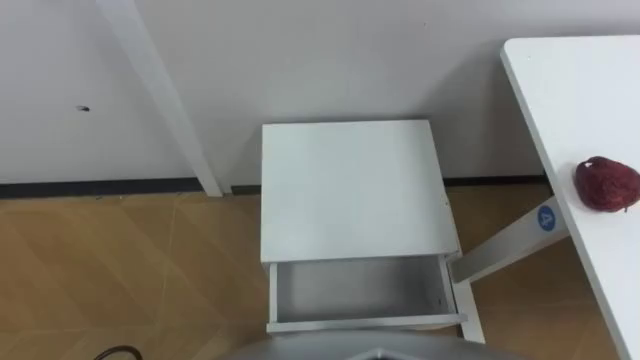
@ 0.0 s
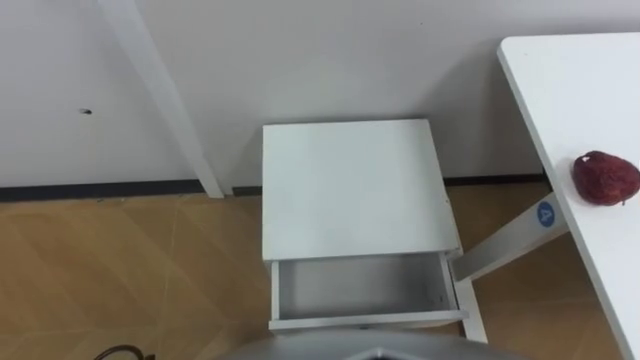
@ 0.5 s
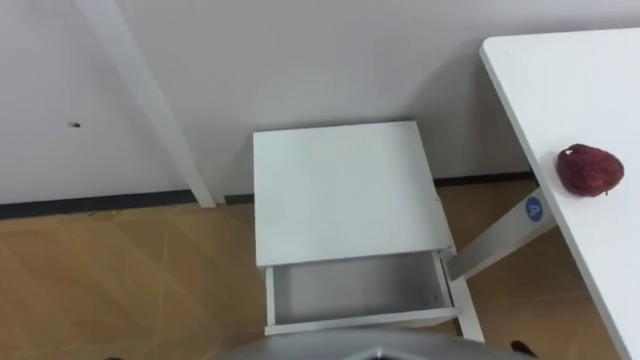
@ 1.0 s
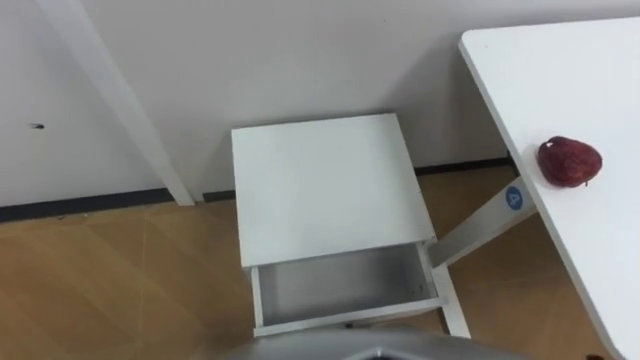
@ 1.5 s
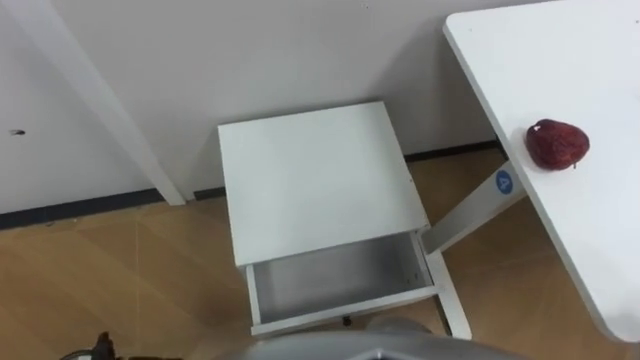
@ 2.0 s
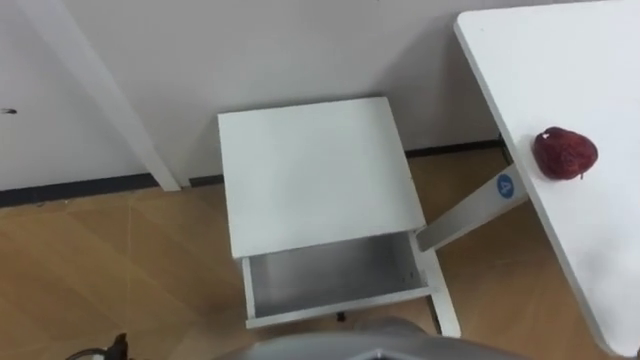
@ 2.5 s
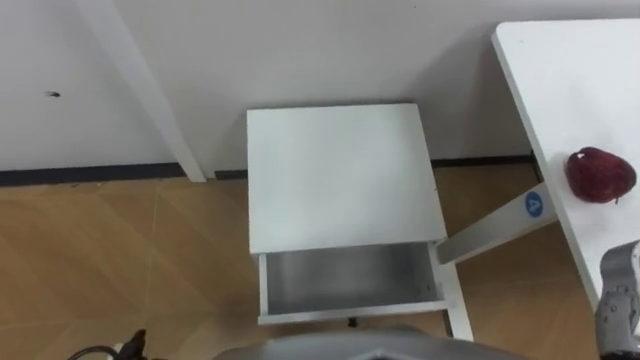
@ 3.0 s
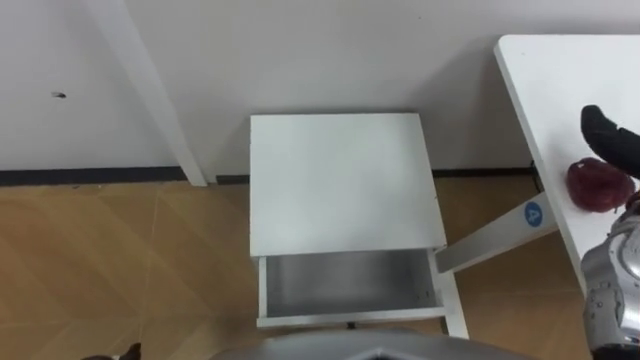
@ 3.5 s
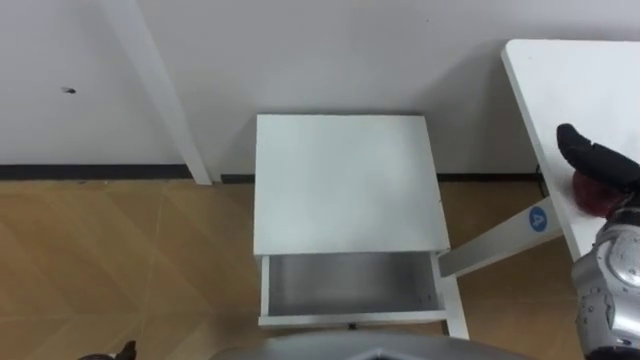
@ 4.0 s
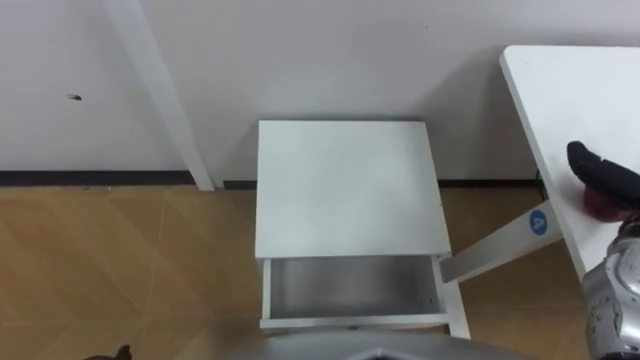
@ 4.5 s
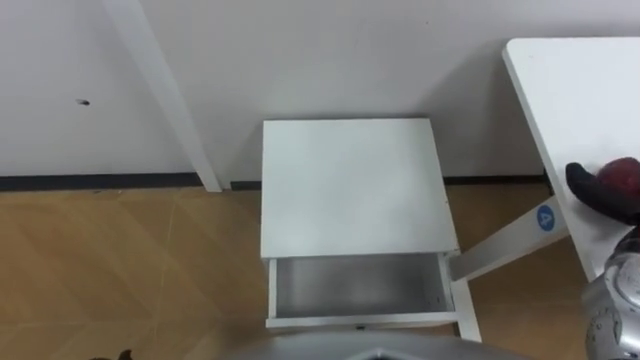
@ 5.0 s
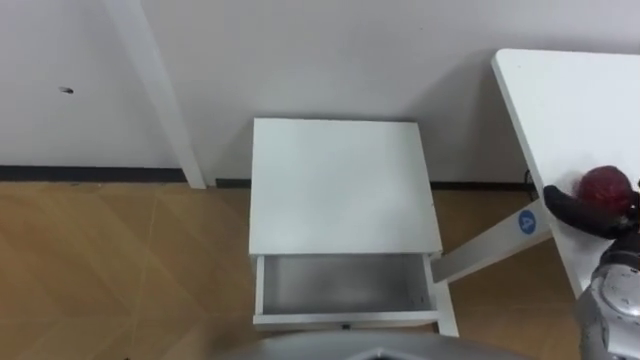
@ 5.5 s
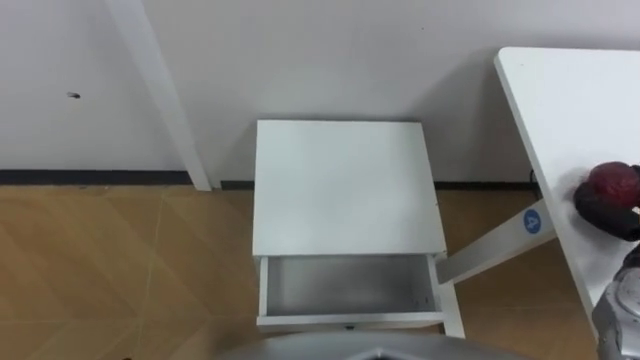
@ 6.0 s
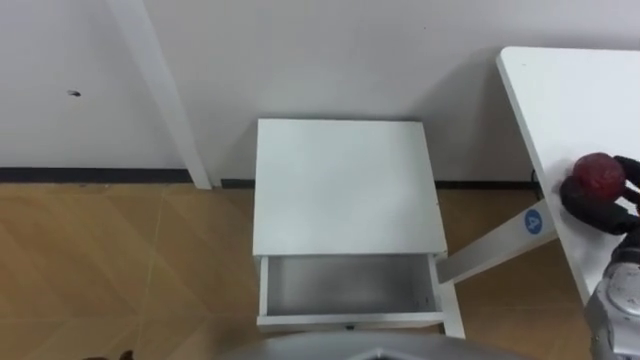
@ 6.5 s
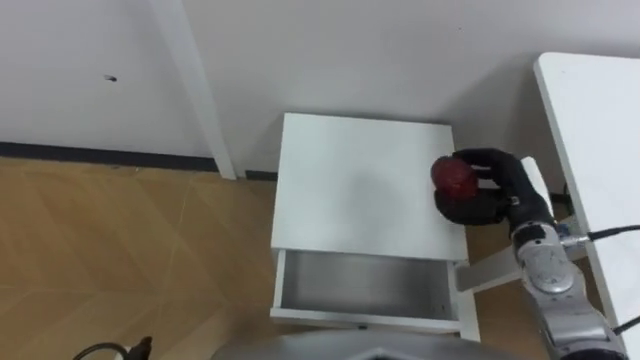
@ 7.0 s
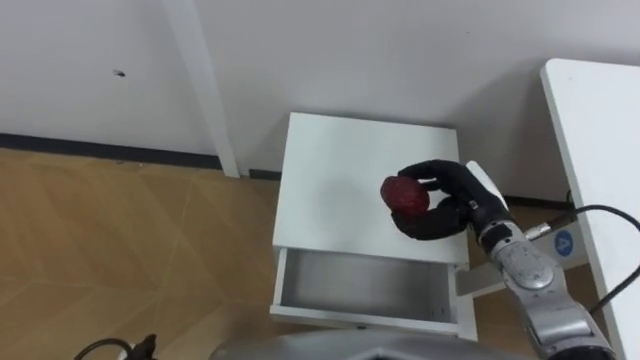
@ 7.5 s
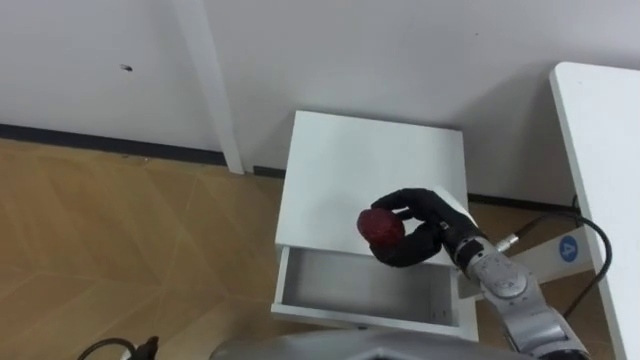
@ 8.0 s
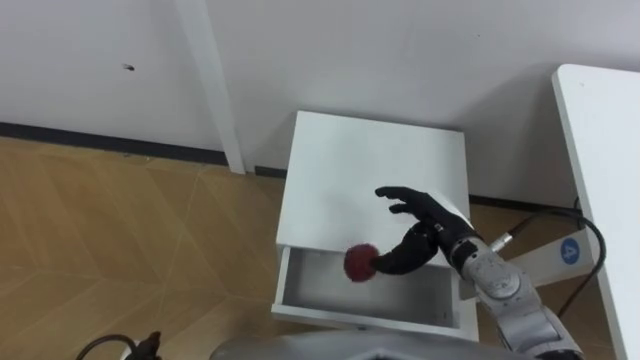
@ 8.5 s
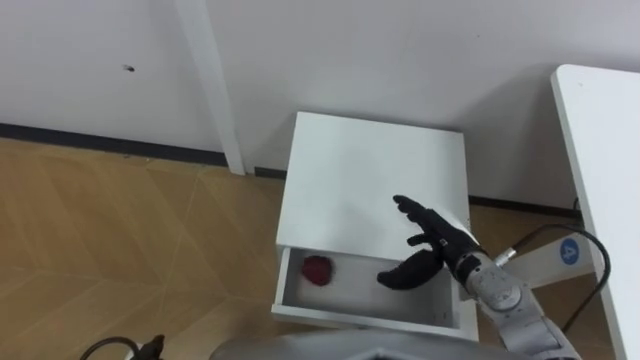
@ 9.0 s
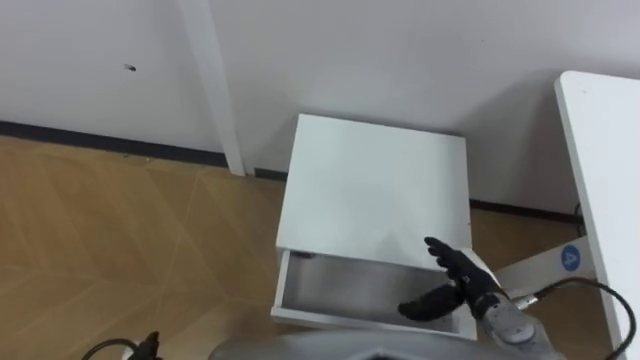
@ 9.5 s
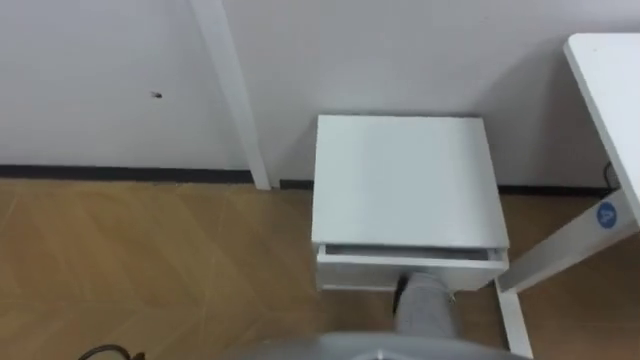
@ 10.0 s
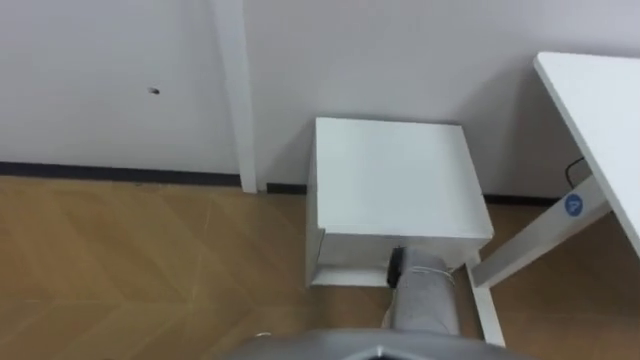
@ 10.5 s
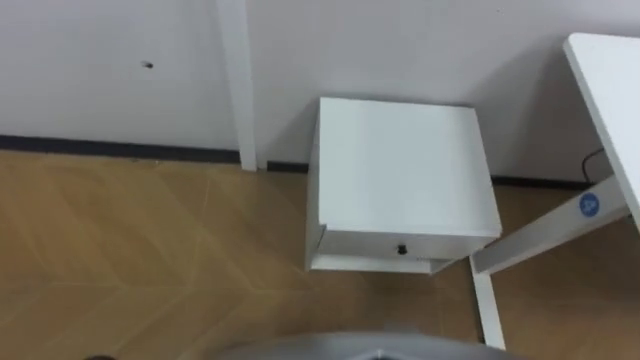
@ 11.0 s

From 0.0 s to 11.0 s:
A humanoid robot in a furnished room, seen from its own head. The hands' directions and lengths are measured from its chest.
Task of the whole recording: Pick up the apple from the table, put it in the drawer, and close the drawer with leg.
From 7.5 s to 9.0 s: The right hand moves some 5 cm, and opens its fingers.

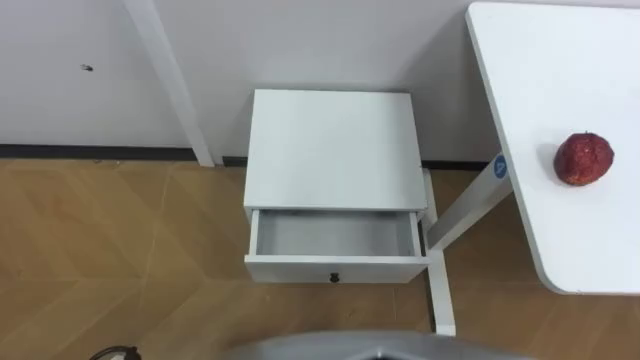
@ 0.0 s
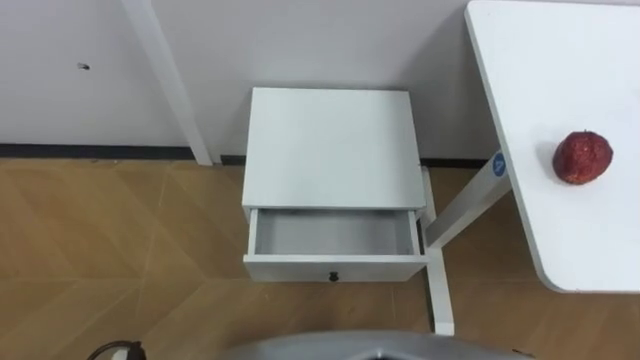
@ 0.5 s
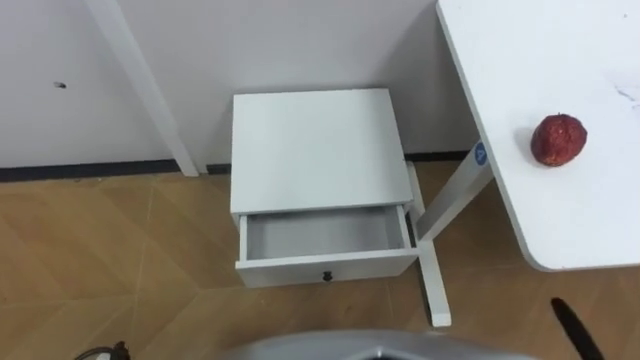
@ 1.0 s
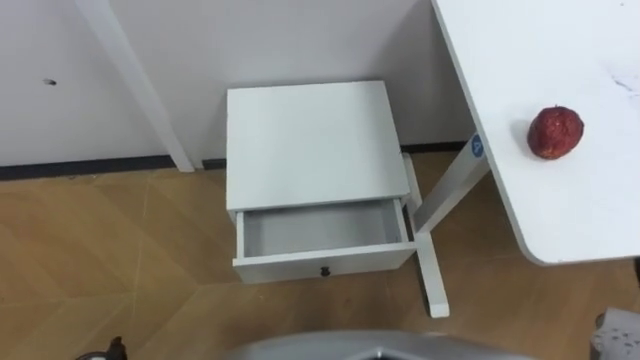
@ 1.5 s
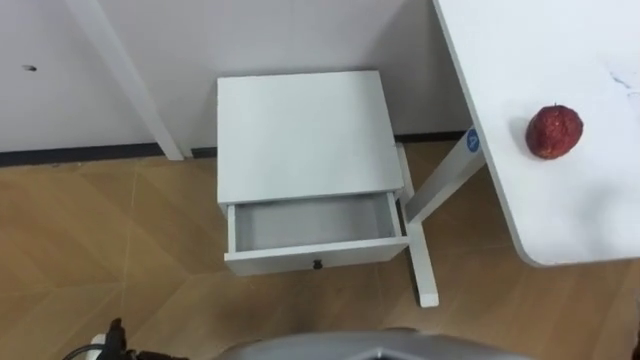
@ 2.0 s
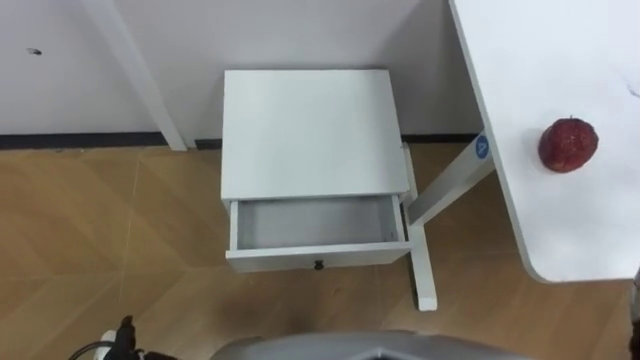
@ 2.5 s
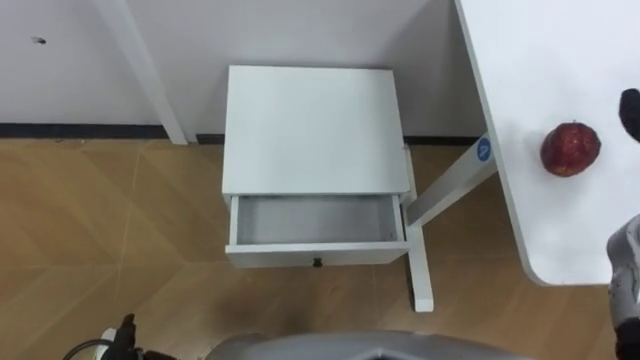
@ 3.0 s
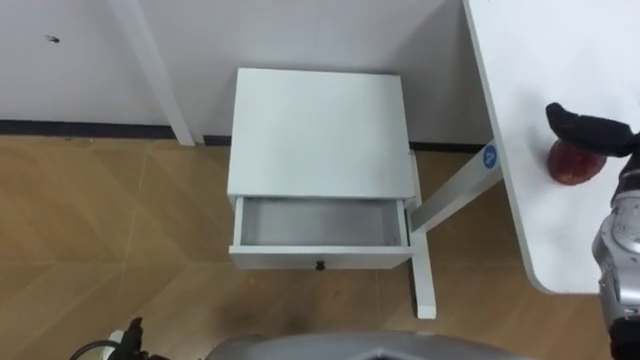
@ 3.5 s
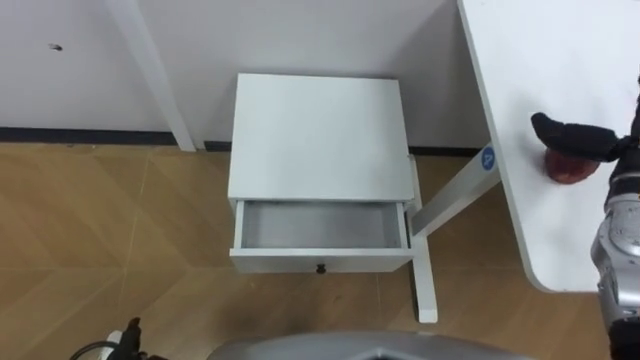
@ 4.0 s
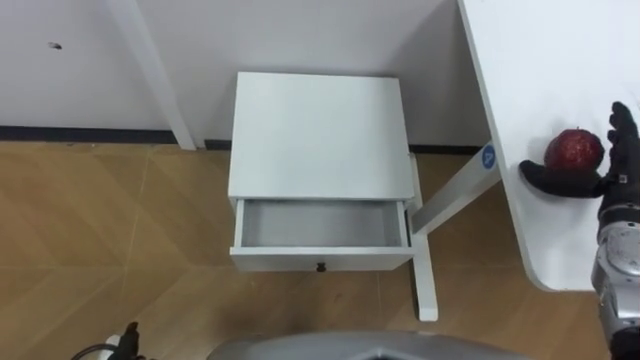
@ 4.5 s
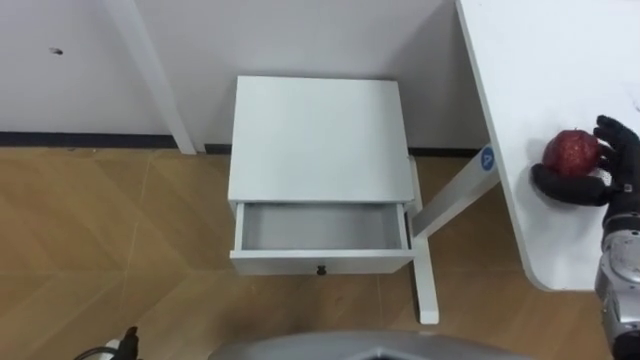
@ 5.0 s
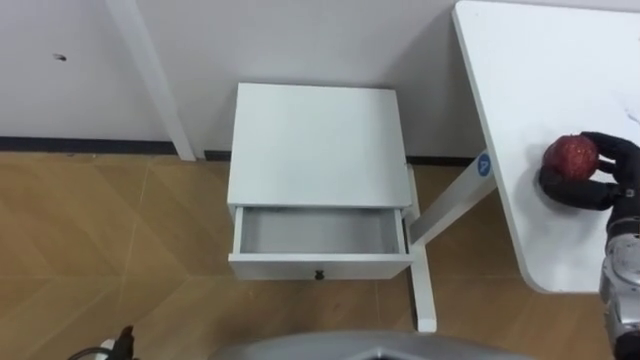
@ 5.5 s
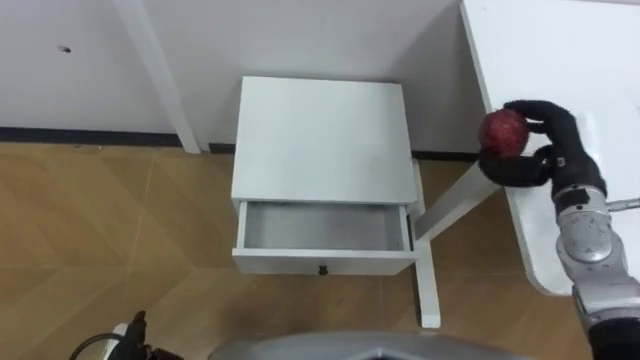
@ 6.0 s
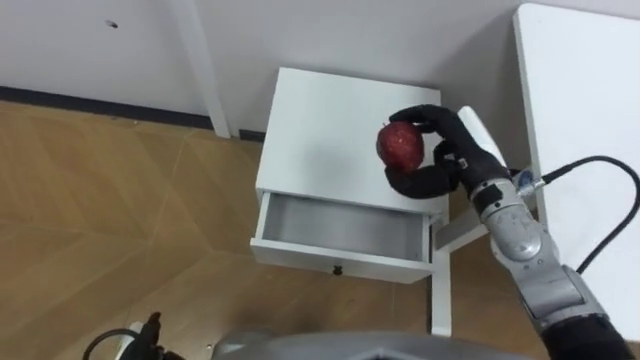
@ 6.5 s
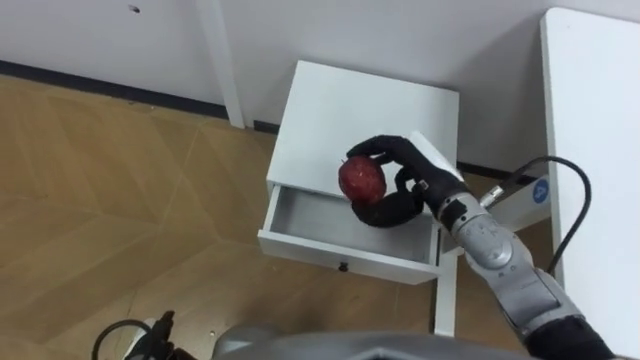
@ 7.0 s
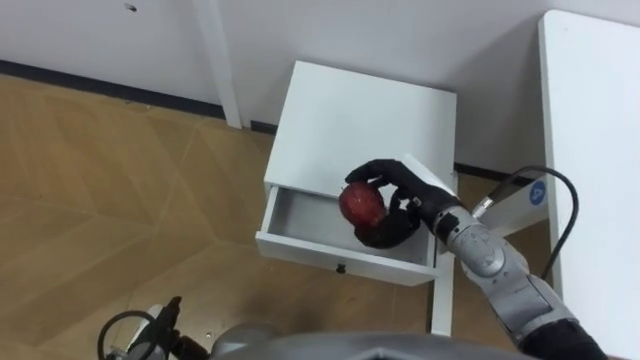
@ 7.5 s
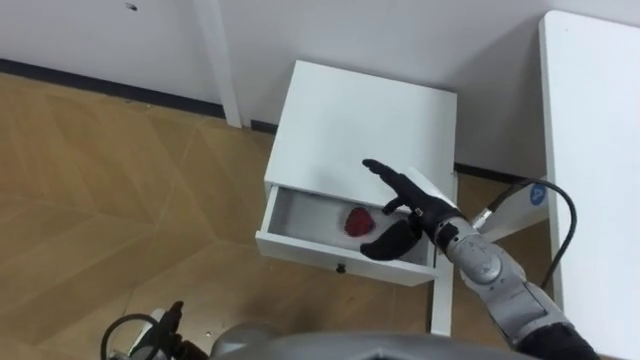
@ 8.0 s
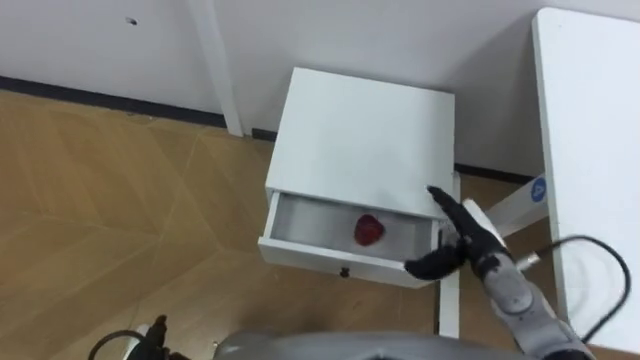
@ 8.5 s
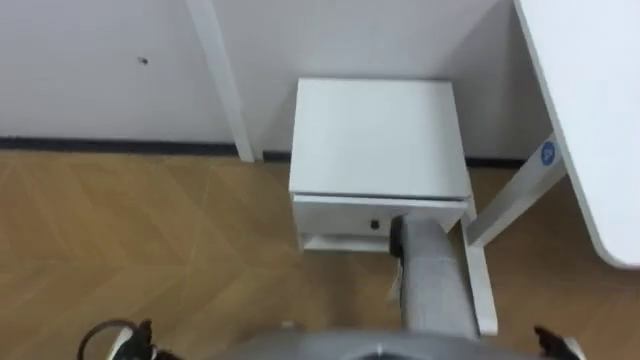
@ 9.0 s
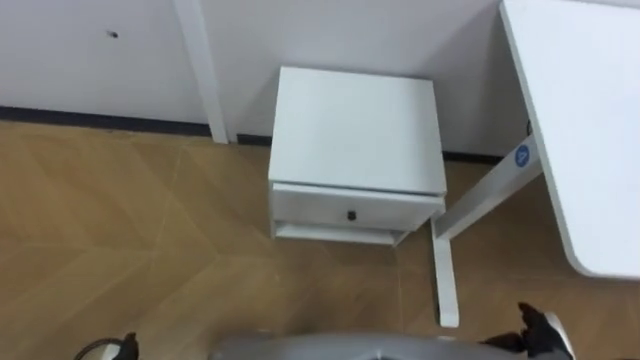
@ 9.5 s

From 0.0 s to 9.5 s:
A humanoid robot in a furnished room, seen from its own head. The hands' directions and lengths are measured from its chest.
Task of the whole recording: Pick up the apple from the table, put it in the drawer, and close the drawer with leg.
From 5.5 s to 7.5 s: The right hand travels to the left by approximately 25 cm.
